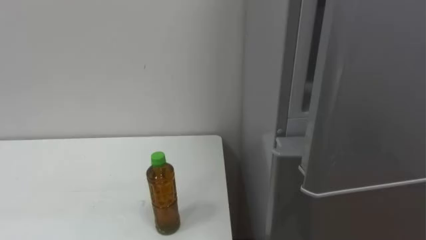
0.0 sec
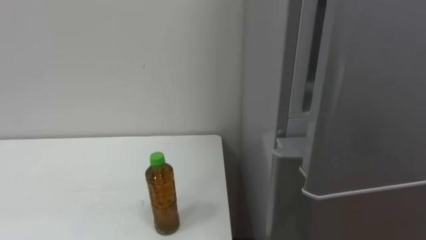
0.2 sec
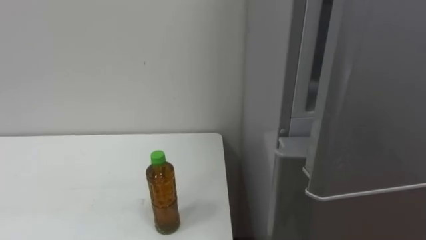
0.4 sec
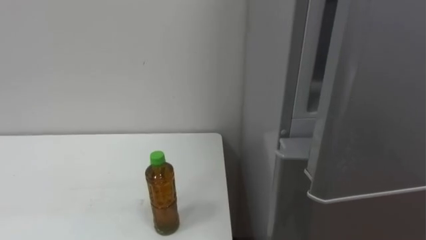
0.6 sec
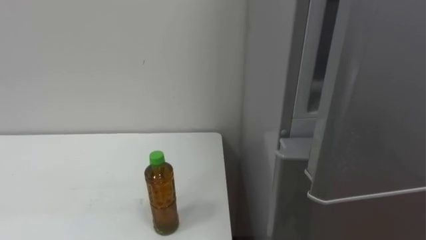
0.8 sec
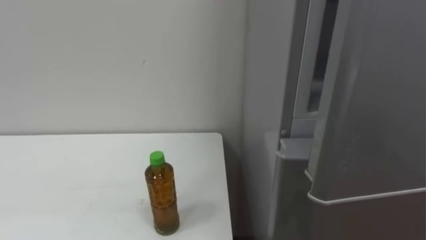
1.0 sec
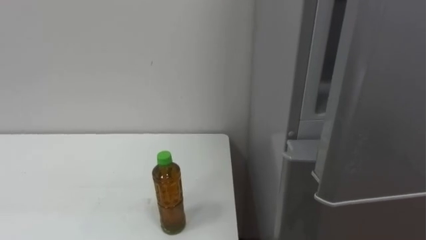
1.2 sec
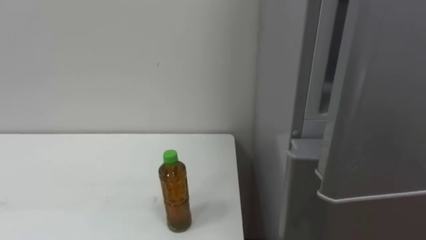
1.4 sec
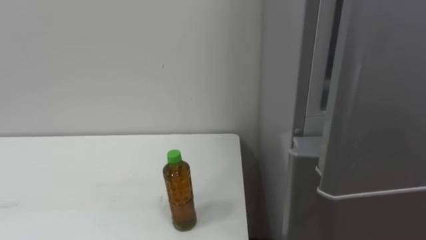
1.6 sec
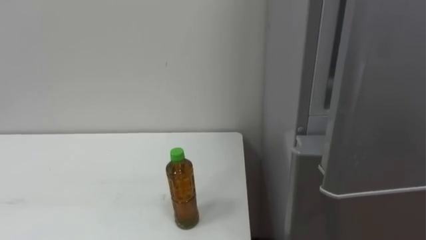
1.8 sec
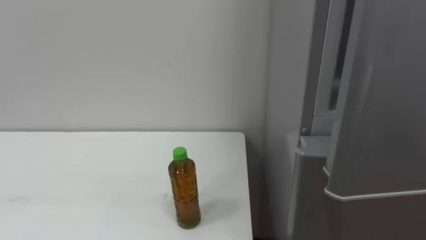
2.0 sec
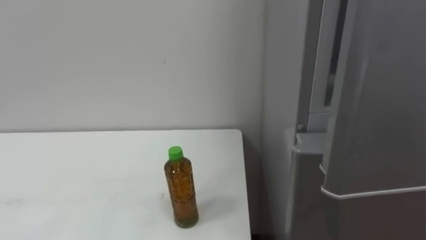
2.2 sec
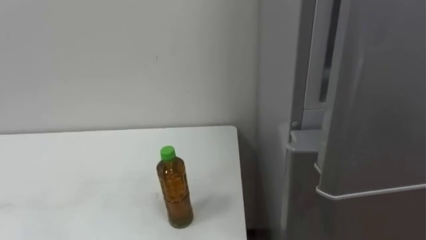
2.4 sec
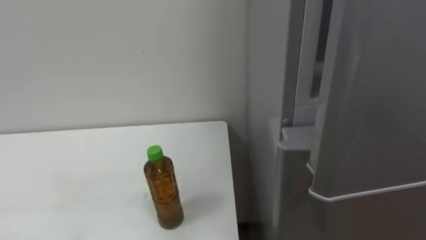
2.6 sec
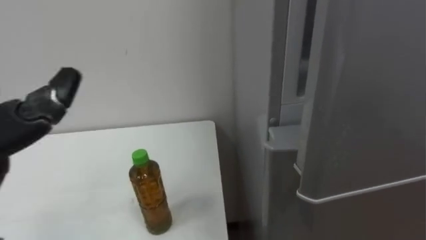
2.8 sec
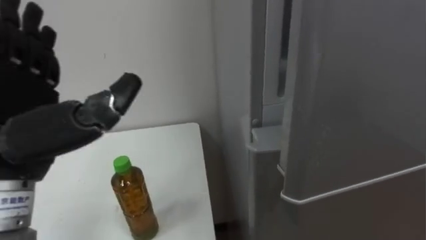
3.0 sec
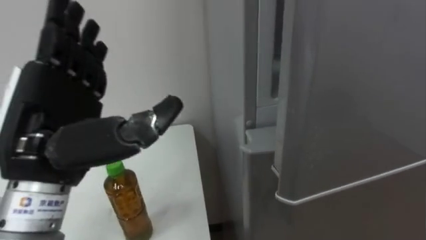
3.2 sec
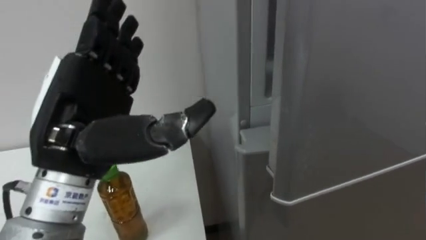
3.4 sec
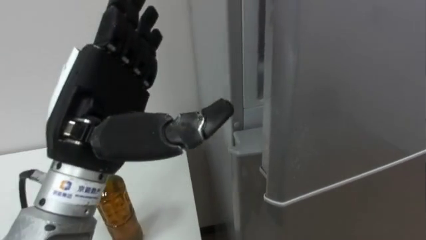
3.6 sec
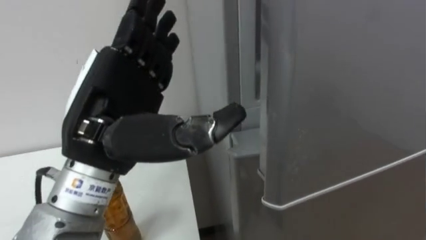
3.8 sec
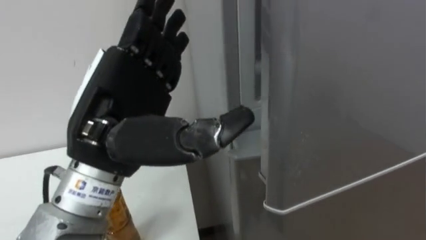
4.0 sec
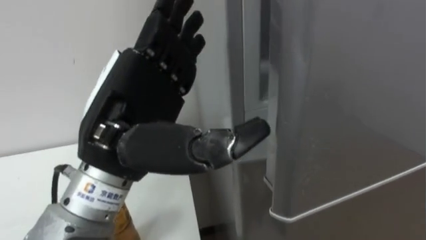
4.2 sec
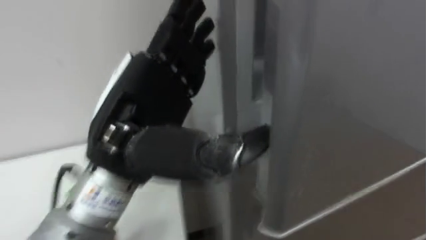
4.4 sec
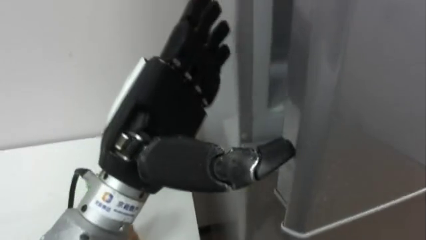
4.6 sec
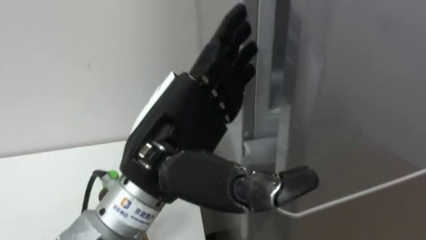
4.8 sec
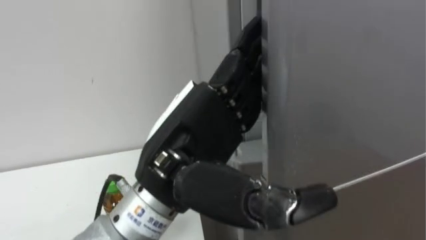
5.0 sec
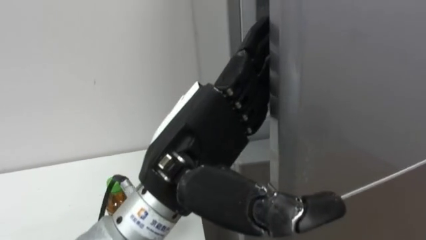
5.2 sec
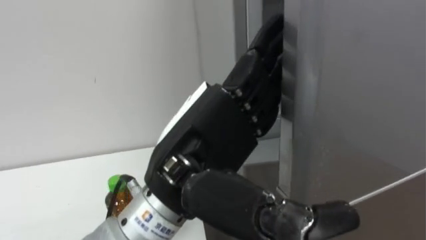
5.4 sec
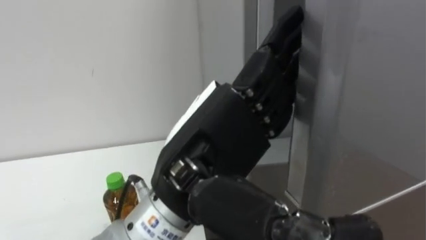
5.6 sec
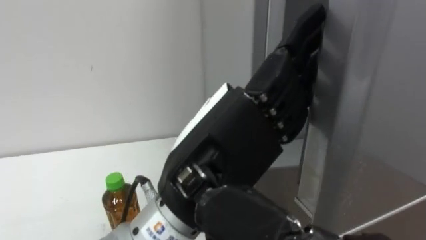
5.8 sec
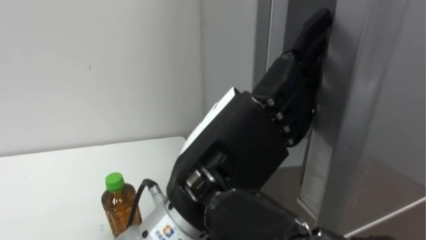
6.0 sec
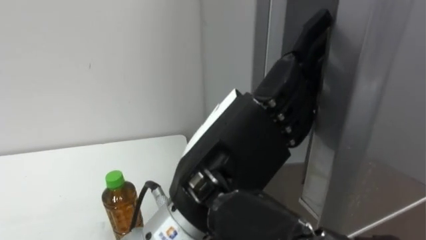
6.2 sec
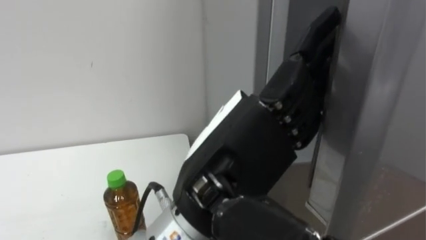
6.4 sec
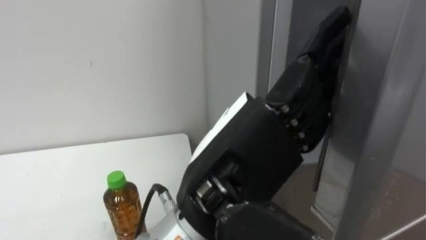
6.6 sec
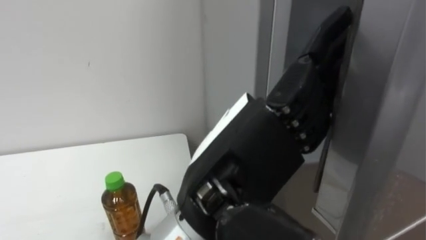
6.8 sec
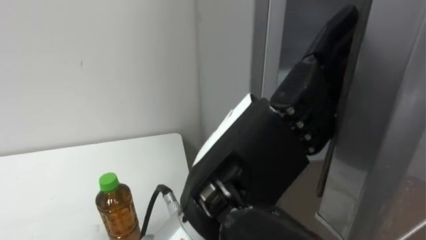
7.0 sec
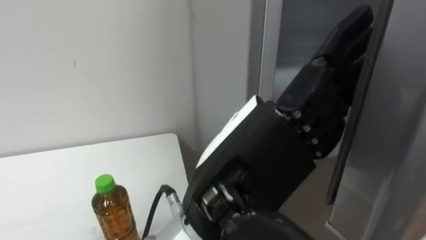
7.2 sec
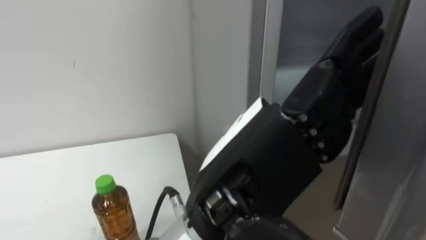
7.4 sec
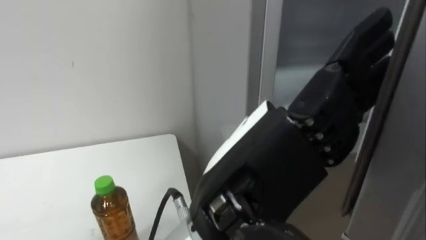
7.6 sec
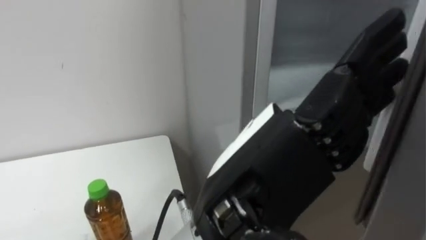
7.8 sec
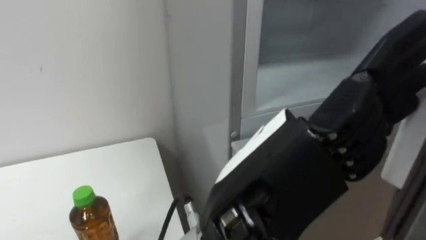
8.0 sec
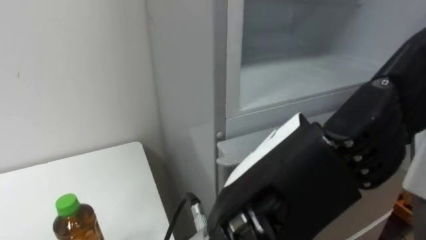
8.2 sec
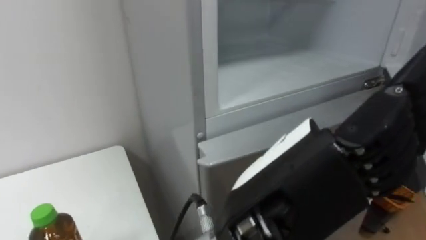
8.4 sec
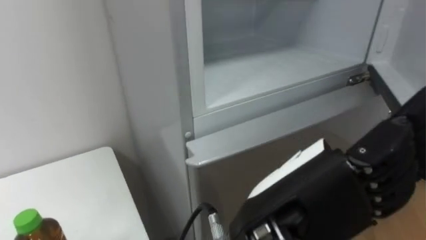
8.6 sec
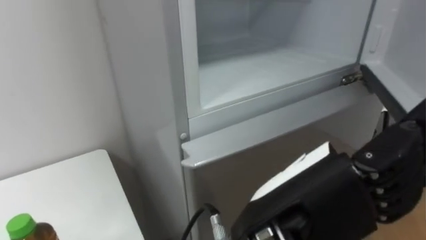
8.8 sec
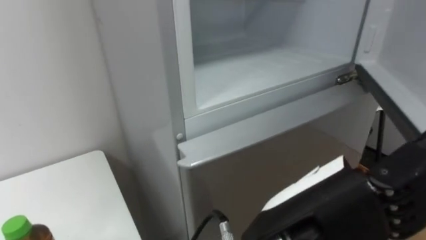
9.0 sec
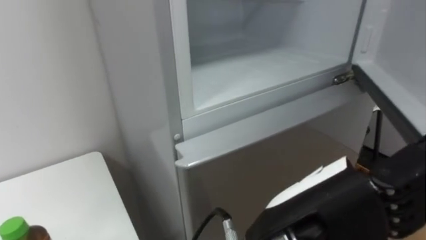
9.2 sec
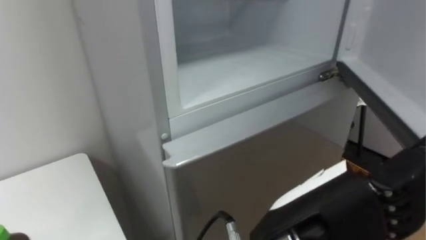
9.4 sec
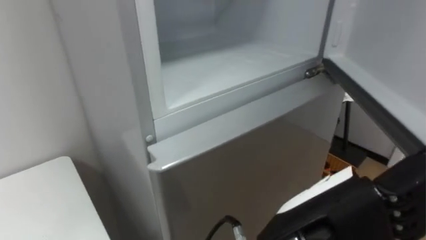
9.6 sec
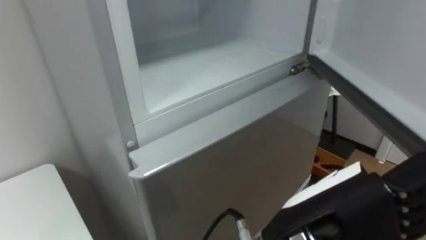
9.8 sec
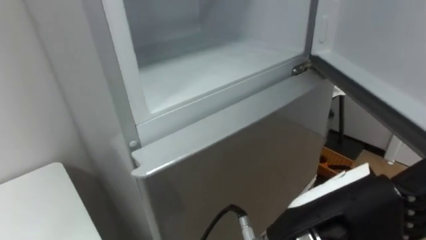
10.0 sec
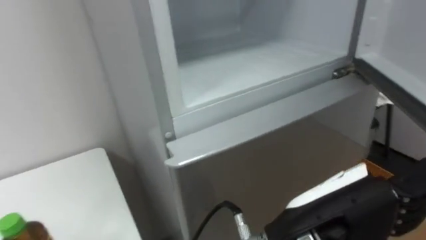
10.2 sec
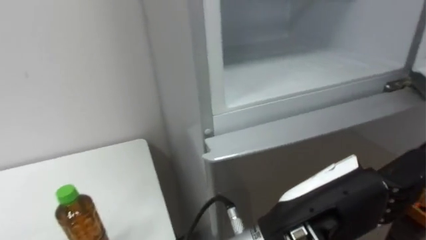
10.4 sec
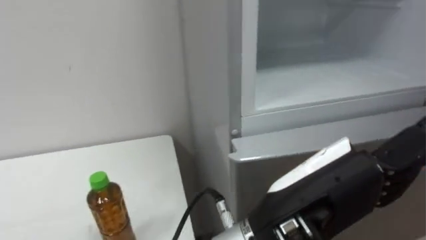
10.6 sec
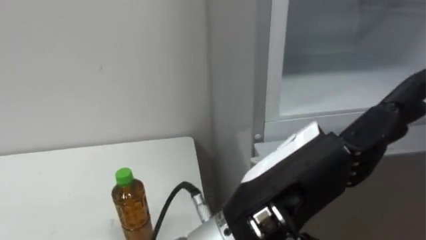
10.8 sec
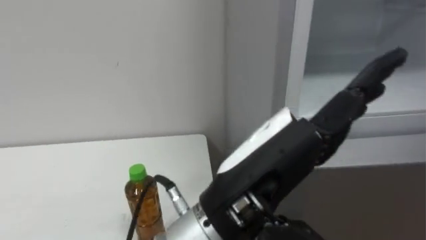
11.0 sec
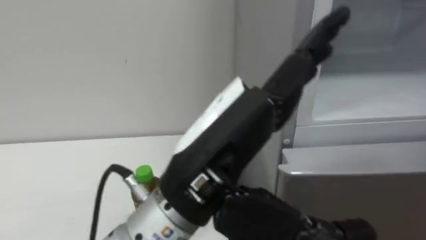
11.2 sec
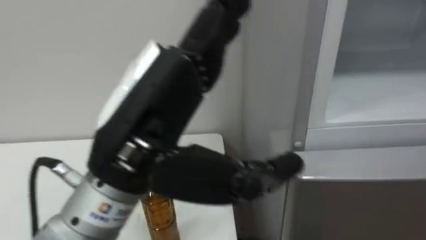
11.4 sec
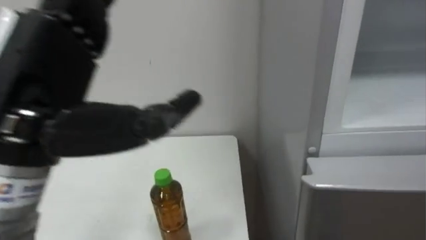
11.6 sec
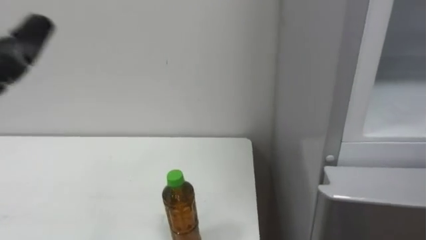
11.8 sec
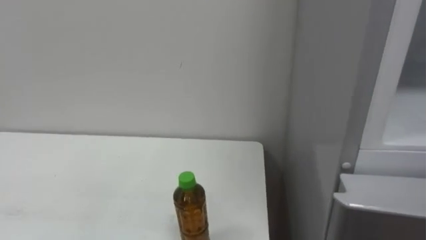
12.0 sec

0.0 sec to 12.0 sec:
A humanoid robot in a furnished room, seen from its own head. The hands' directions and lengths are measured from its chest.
Task of the whole recording: Open the upper refrigerator door, put the drink from the table into the refrigerator, and then close the refrigerator door.
3.0 sec to 4.4 sec: The left hand travels to the right by roughly 15 cm.
4.4 sec to 6.0 sec: The left hand is displaced to the right by some 10 cm.
7.6 sec to 9.0 sec: The left hand moves about 5 cm.

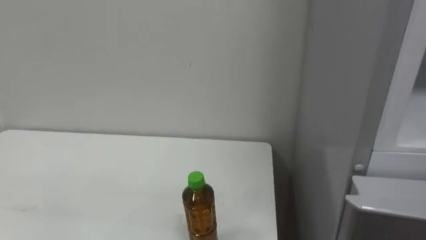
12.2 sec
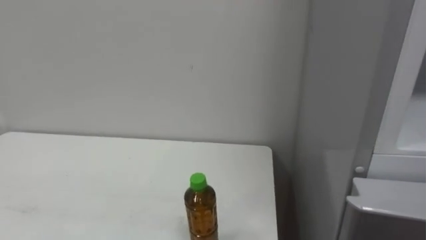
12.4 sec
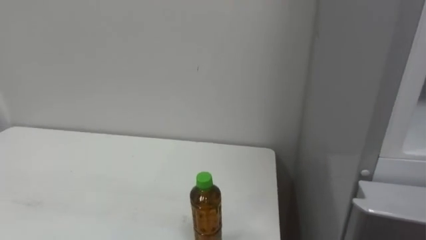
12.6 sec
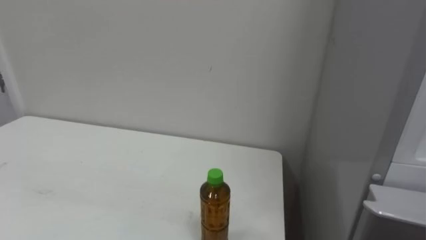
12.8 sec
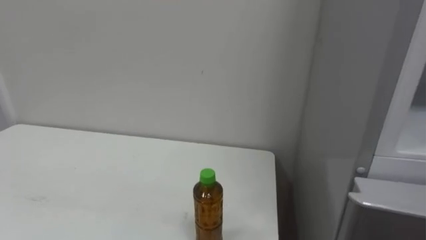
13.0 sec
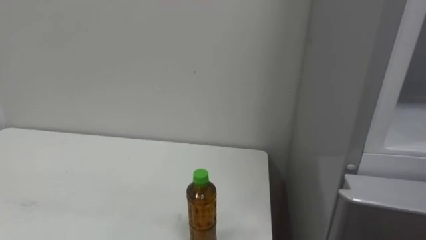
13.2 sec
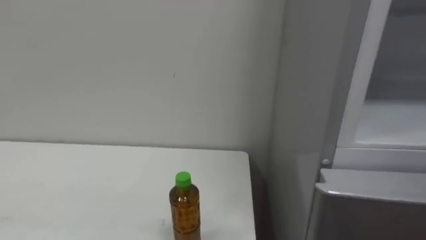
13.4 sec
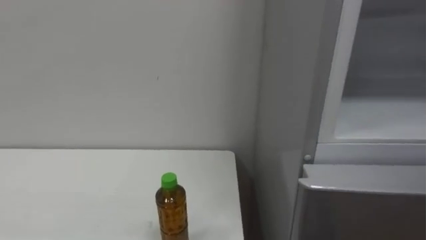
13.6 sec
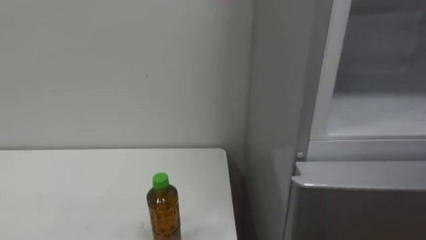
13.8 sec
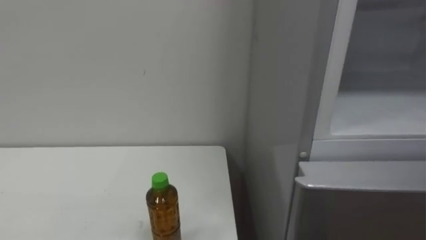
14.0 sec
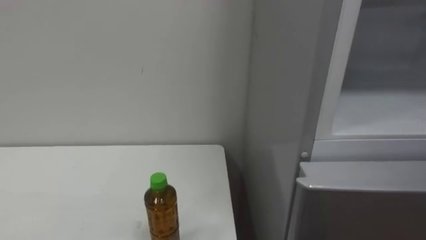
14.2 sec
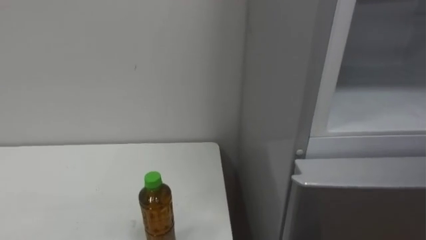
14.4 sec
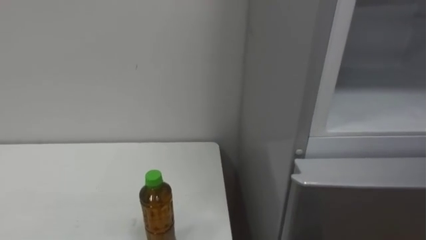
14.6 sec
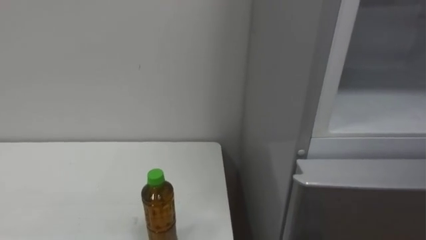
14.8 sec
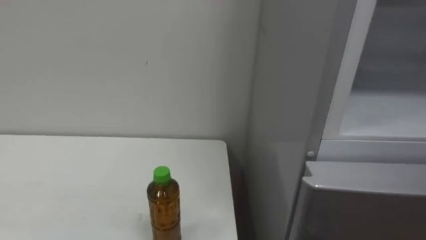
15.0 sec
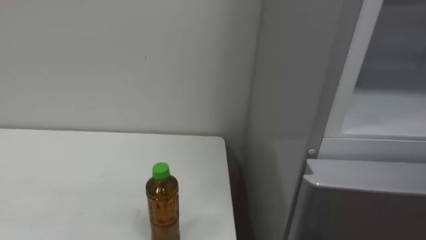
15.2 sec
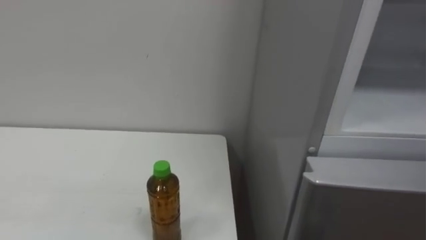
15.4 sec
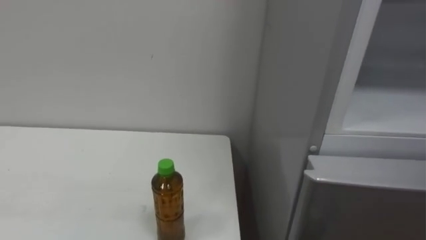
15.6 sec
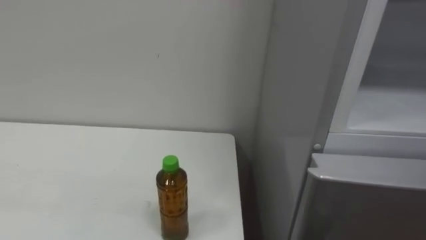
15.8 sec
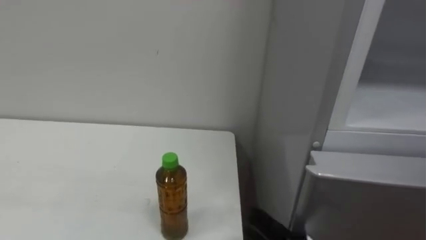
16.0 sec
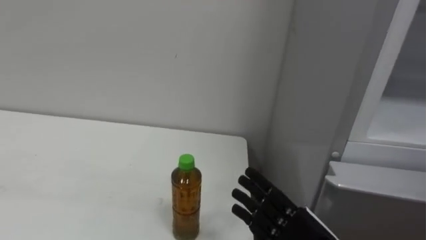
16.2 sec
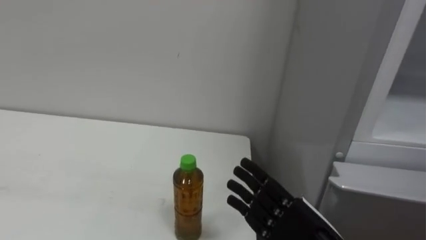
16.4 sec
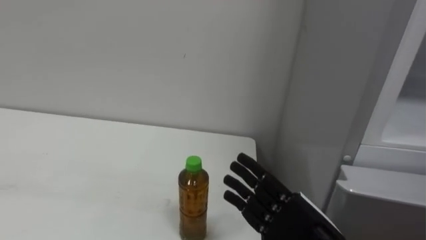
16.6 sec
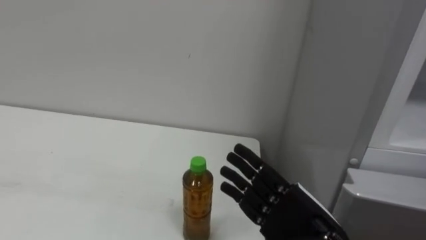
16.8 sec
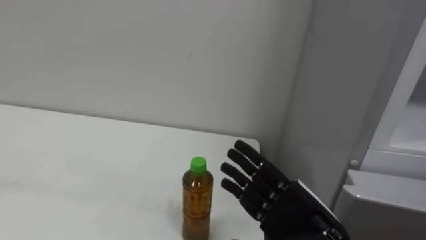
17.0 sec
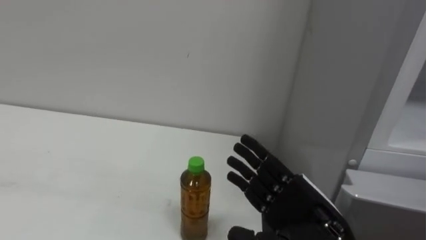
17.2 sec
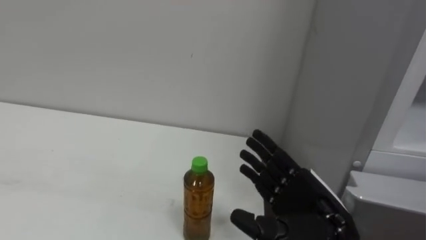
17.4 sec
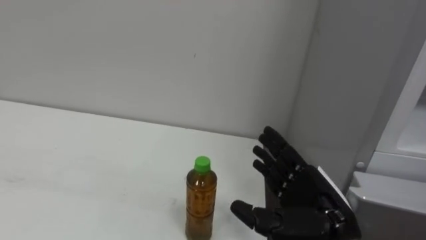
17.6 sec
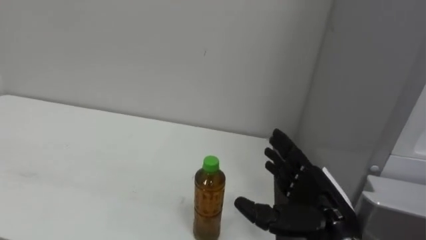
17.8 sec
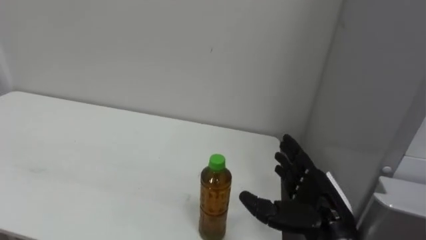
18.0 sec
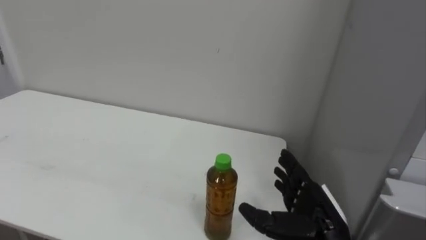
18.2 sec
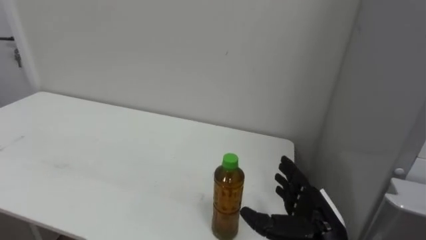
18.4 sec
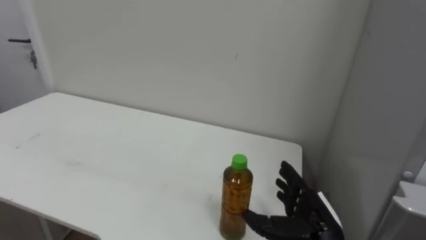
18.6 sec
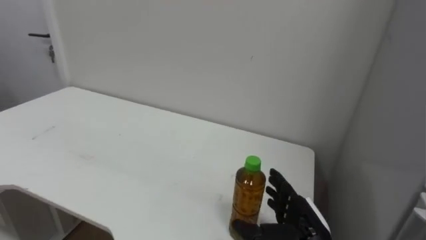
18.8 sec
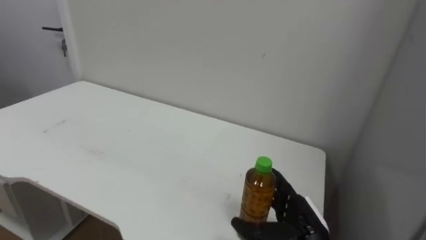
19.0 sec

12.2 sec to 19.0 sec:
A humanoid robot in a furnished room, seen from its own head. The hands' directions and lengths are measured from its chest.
Task of the whole recording: Open the upper refrigerator door, put the drink from the table into the refrigerator, and then close the refrigerator door.
16.2 sec to 17.6 sec: The right hand ends up about 5 cm from where it was.
17.6 sec to 19.0 sec: The right hand shifts approximately 10 cm downward.
